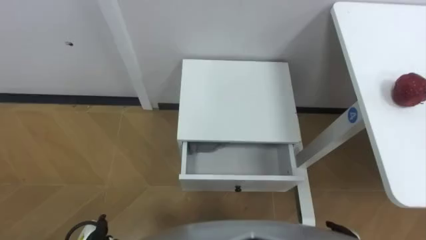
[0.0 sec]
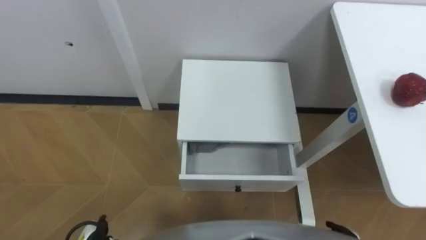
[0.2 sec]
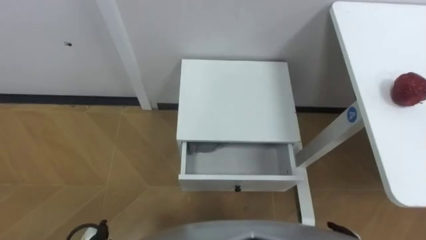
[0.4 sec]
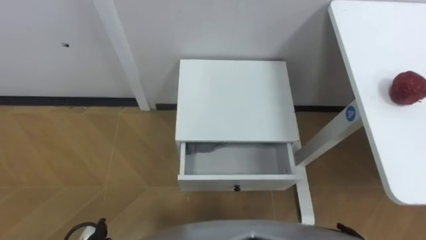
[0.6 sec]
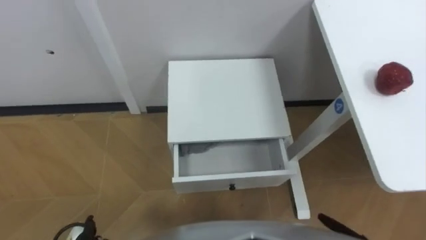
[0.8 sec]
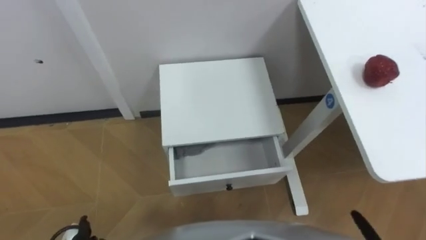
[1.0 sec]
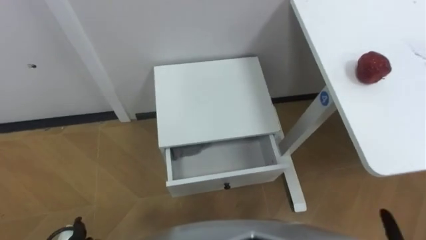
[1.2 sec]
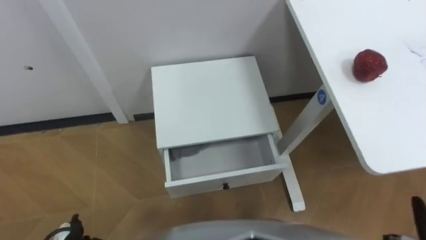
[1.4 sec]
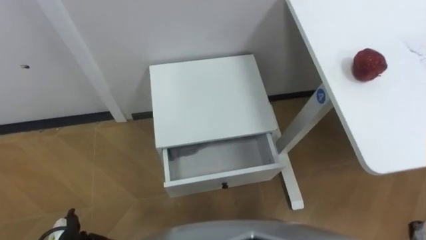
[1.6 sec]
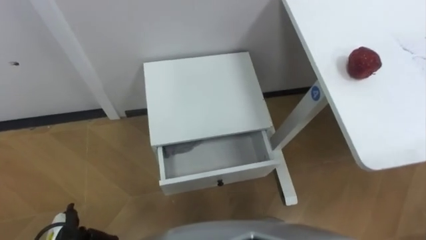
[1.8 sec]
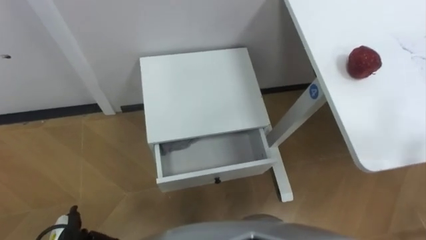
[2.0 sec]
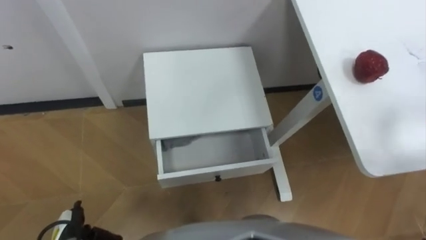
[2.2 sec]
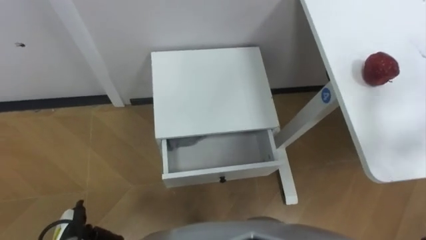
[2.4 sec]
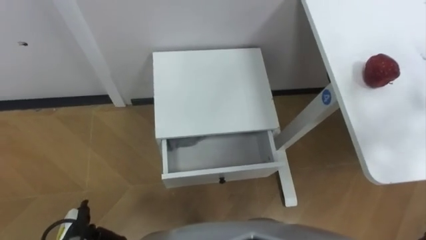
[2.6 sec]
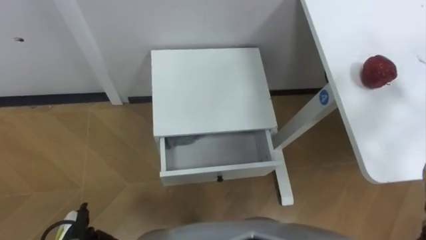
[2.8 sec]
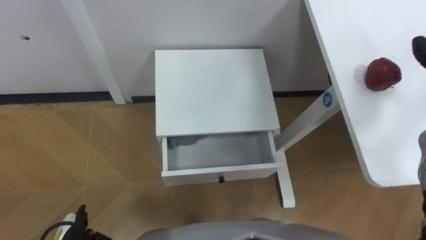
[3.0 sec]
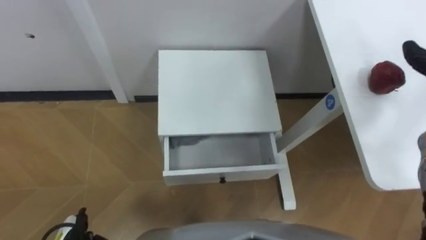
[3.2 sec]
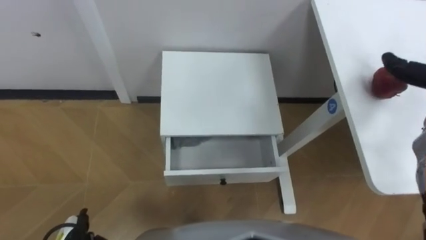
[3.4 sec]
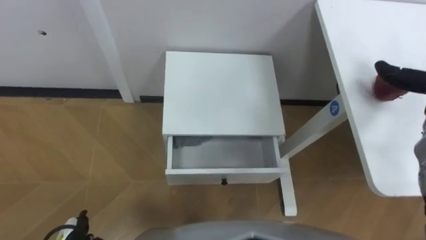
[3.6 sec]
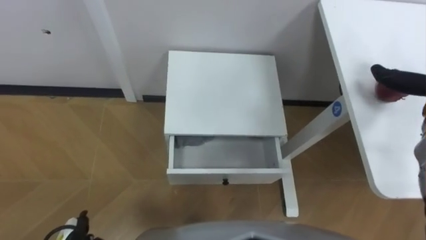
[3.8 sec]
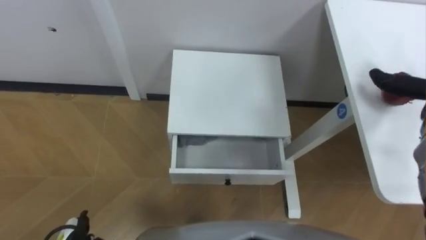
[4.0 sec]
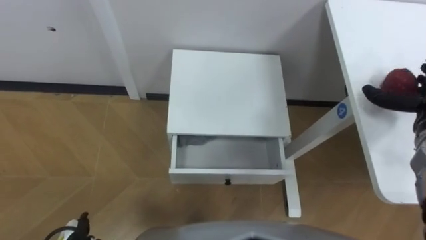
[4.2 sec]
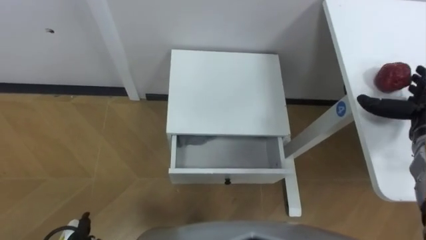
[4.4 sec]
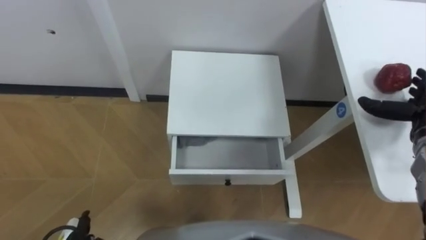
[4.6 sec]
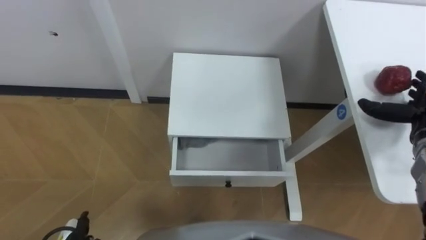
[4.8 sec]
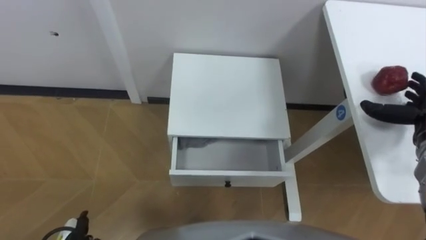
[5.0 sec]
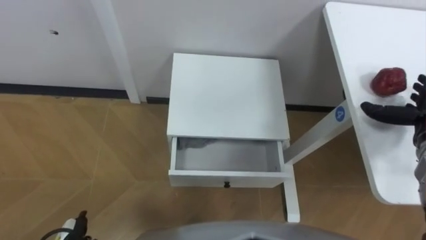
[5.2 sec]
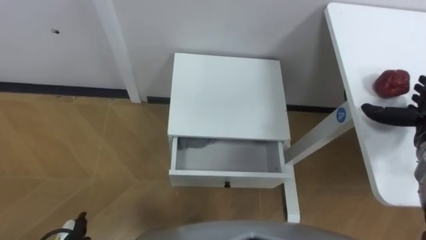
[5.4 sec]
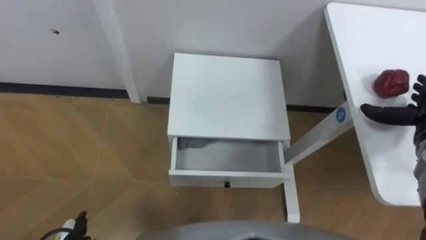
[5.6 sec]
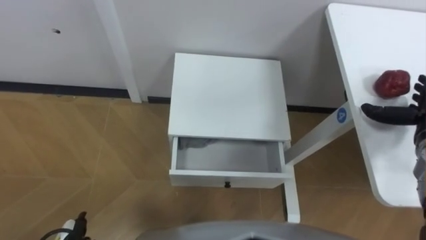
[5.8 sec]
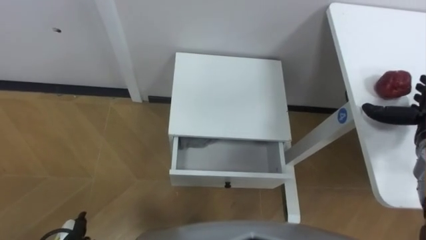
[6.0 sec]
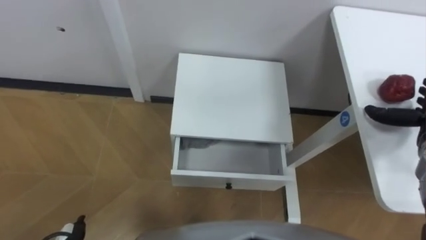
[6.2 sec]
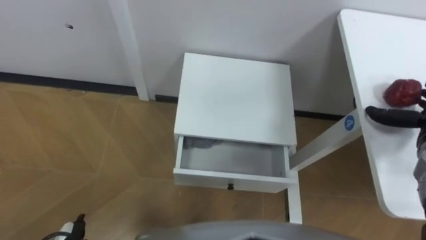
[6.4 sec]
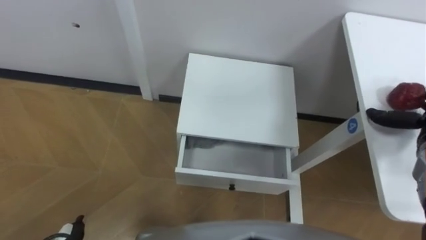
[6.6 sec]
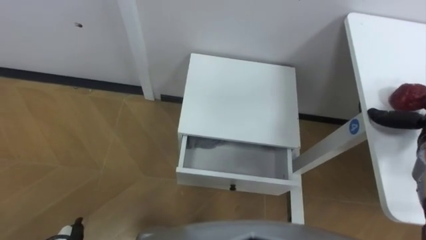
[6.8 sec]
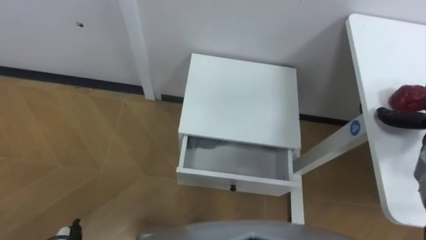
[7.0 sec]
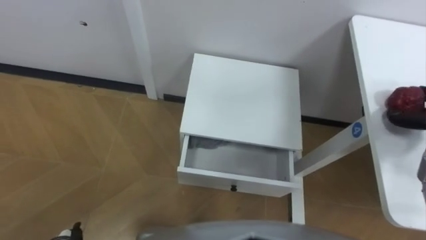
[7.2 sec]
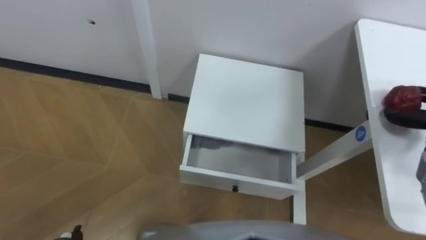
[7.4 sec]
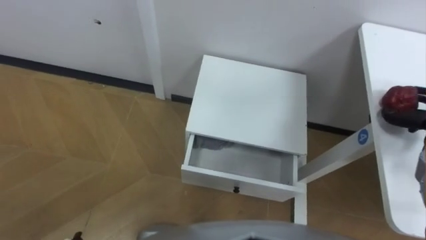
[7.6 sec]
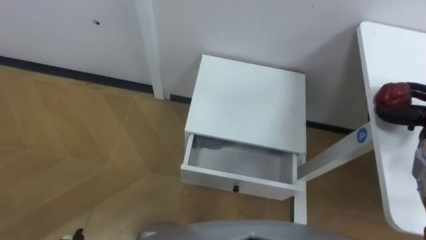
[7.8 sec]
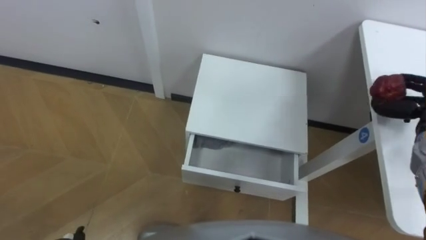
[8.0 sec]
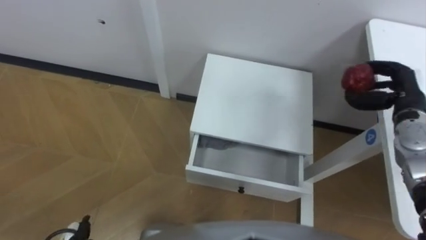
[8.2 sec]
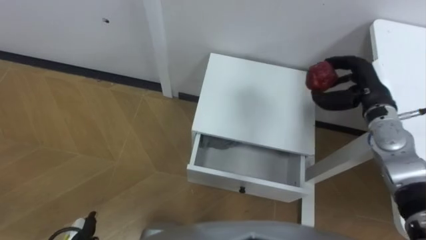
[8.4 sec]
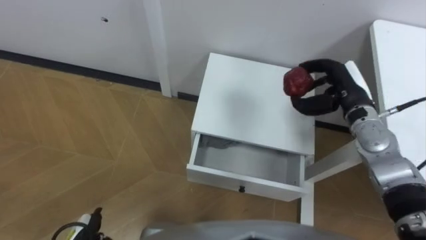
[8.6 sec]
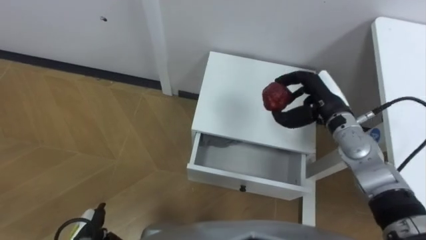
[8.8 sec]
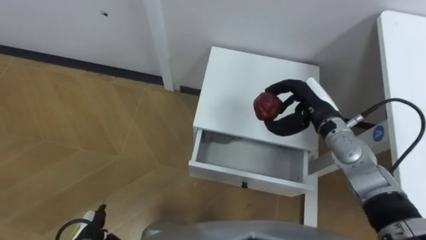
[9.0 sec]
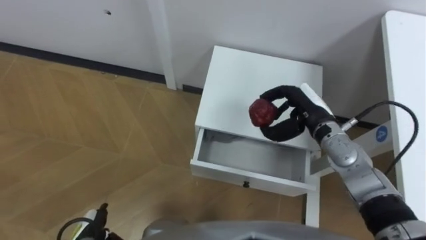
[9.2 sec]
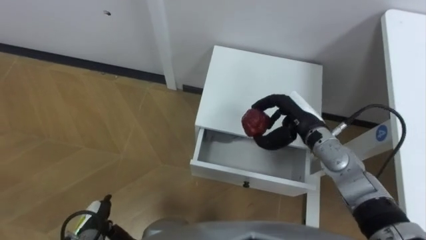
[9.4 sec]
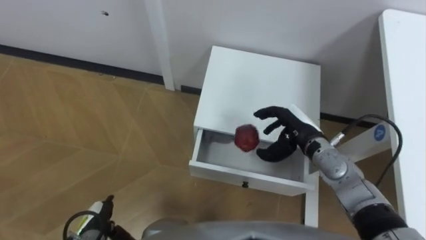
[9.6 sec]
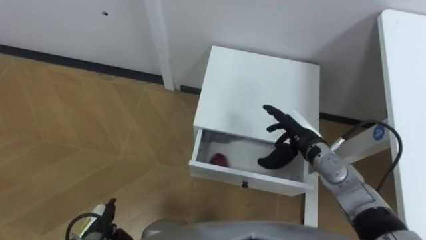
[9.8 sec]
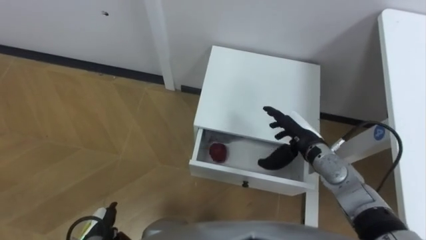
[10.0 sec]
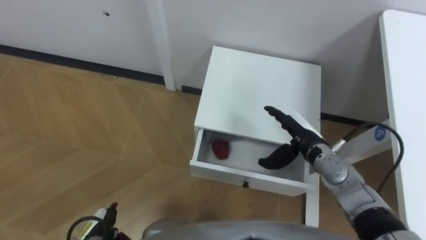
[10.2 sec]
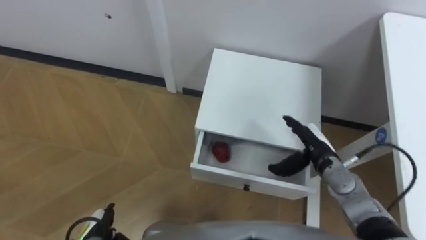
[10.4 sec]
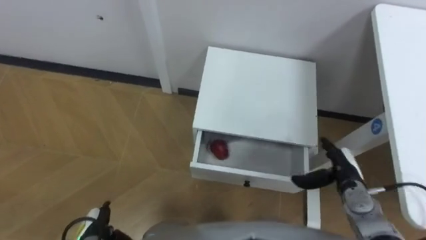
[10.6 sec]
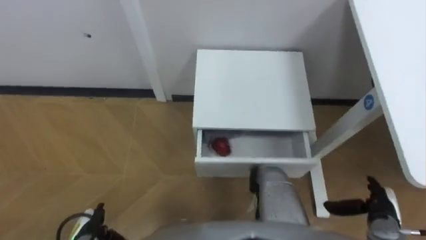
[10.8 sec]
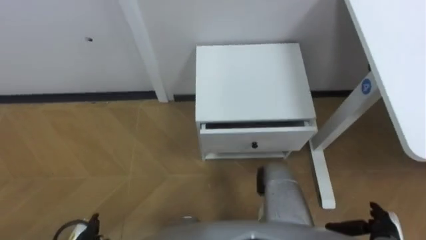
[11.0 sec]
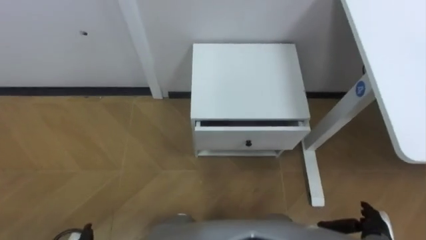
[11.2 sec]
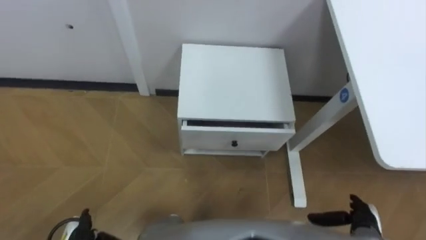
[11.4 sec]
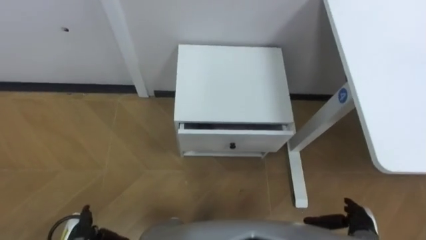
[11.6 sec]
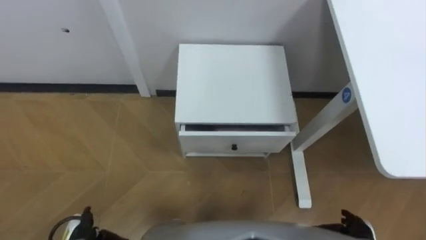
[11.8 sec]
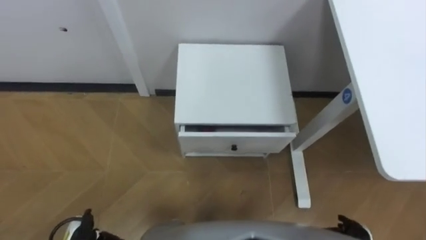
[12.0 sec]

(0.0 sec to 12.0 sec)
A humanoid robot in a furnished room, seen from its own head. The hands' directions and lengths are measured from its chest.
Task of the whole recording: Pick up the apple from the table, put it in the drawer, and close the drawer with leg.
9.0 sec - 10.4 sec: The right hand goes roughly 10 cm downward and backward, and opens up.
10.4 sec - 12.0 sec: The right hand travels backward, downward and to the right by some 25 cm.

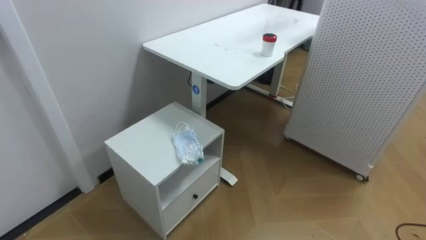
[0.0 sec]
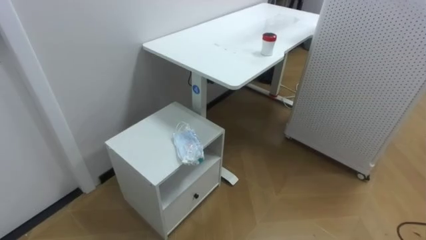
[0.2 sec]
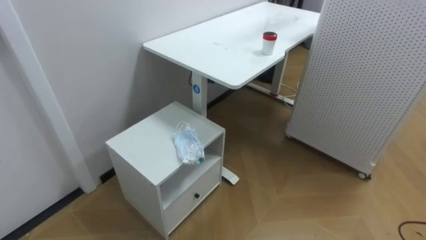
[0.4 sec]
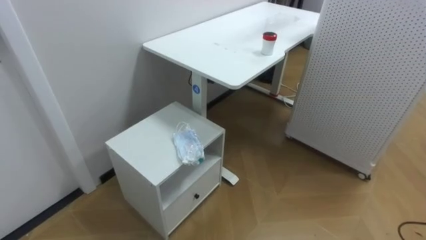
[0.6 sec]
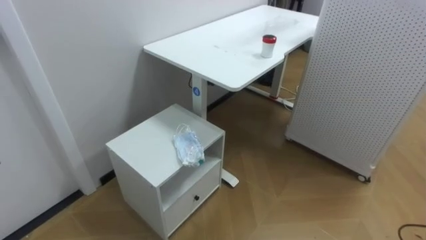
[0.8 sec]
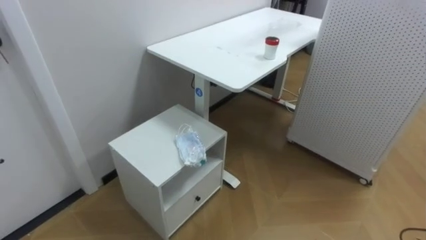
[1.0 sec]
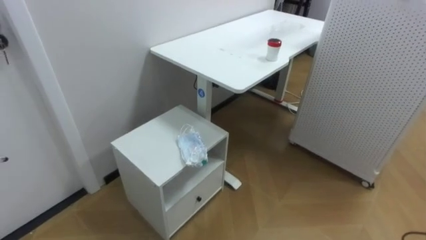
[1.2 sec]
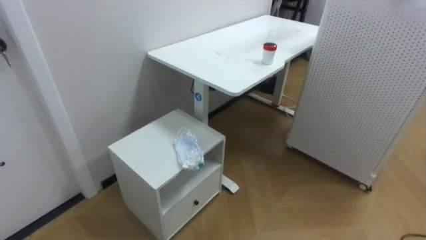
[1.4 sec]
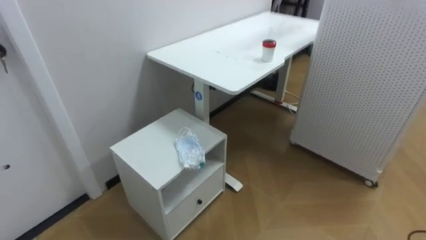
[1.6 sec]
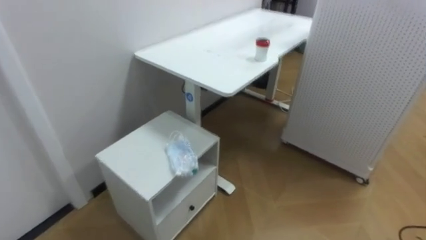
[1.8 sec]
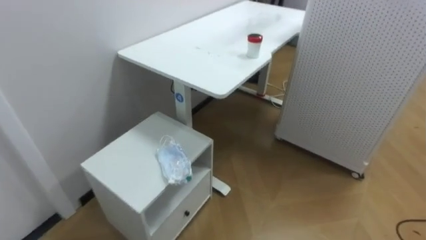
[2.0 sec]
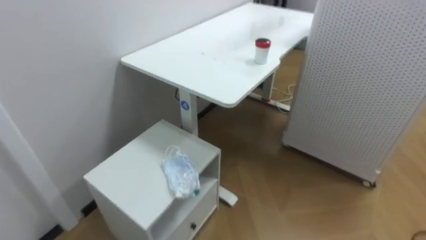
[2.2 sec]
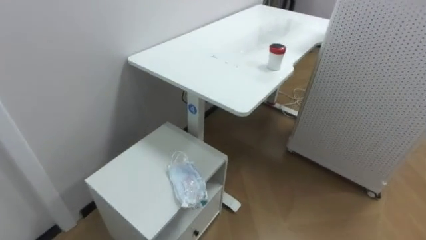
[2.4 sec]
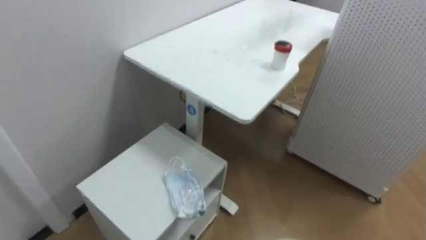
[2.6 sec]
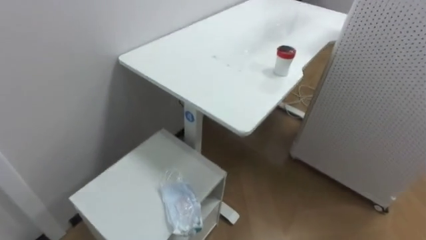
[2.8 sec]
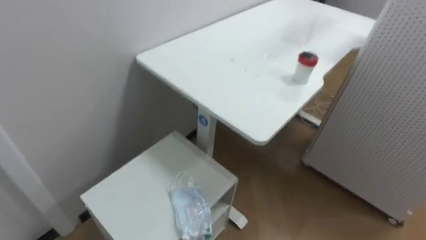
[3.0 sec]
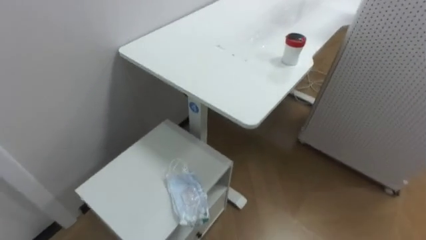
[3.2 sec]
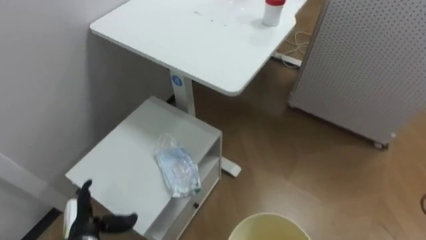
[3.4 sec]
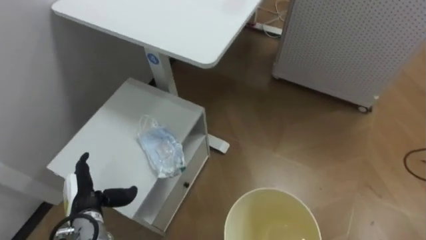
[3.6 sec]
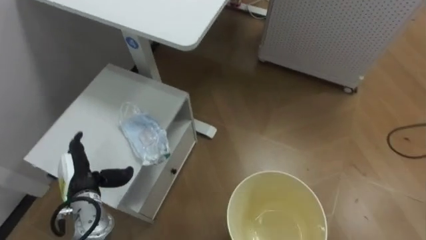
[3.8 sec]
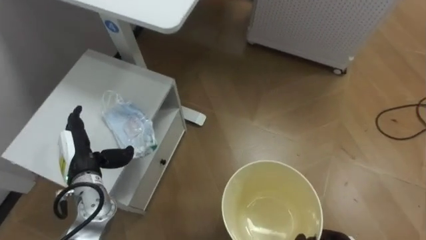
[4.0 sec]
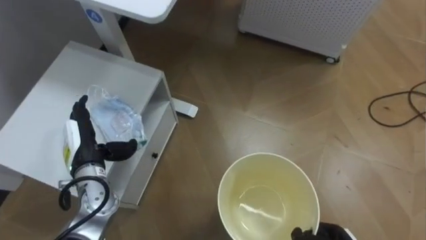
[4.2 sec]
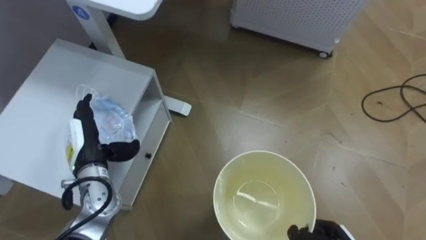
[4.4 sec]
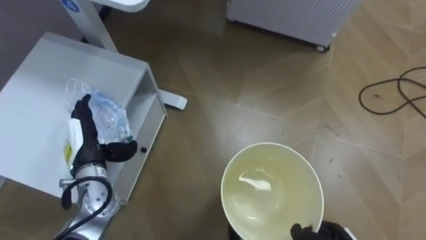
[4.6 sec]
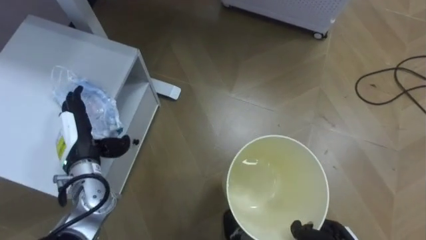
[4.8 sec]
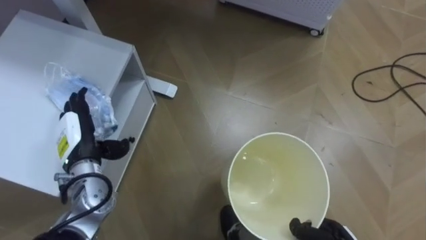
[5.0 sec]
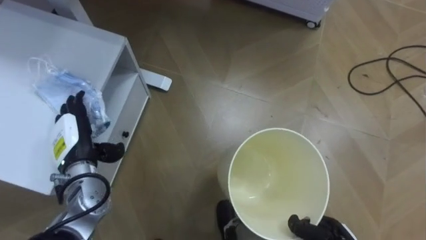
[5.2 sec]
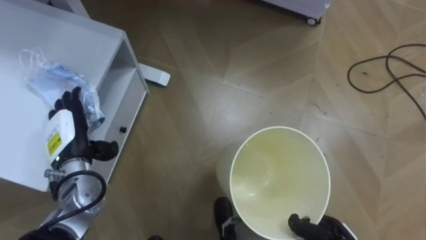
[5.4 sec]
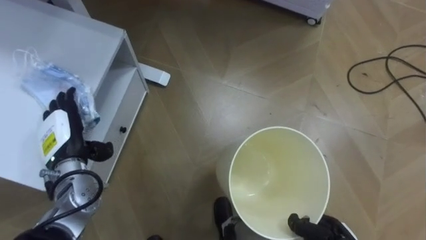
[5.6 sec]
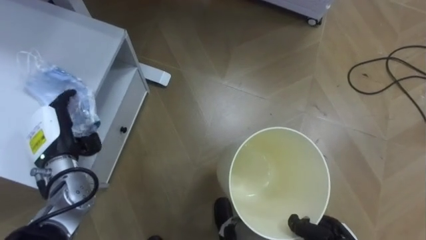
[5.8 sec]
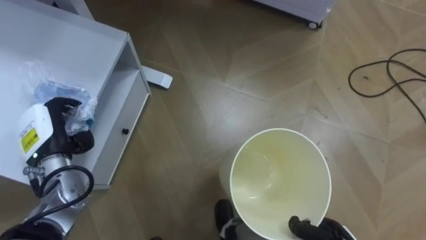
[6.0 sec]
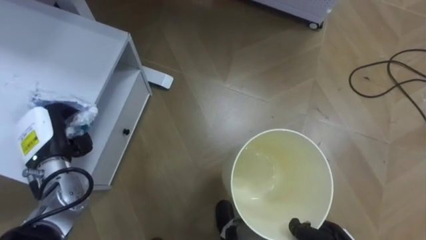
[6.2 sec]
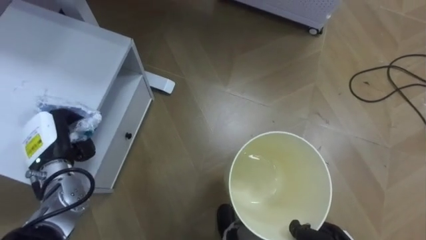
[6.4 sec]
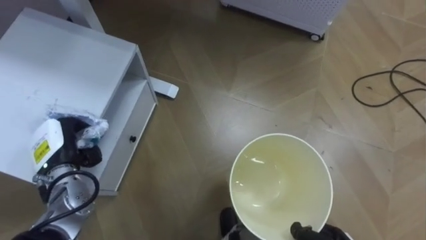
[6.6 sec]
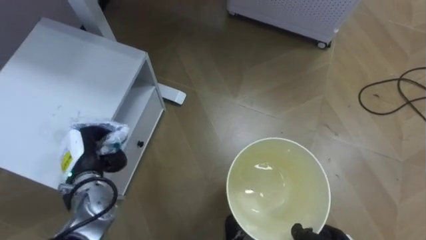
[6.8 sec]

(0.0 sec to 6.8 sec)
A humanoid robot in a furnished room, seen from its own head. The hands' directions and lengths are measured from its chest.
Task of the whole recording: Pick up the light blue package, the candy box, and the dark blue package separately, and put them into the trash can held in your right hand.
5.4 sec - 6.8 sec: The left hand closes up.
